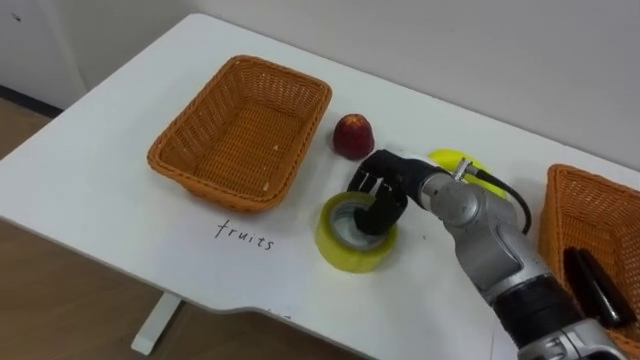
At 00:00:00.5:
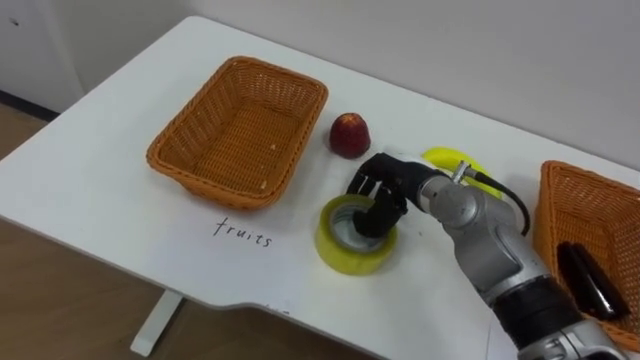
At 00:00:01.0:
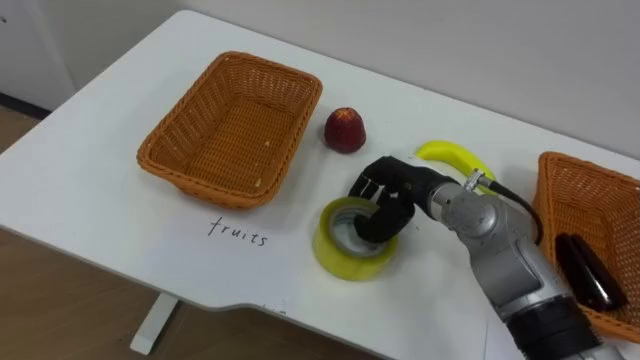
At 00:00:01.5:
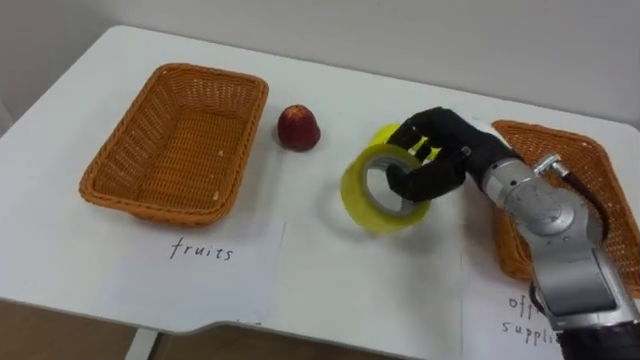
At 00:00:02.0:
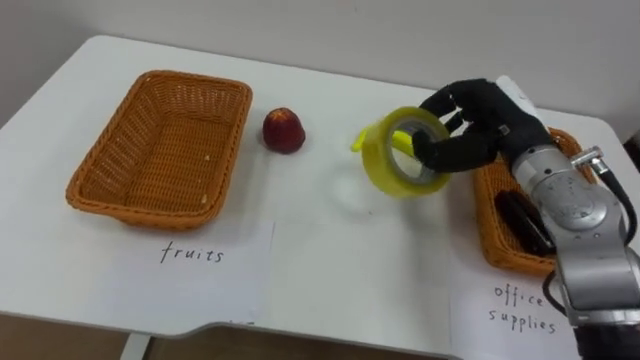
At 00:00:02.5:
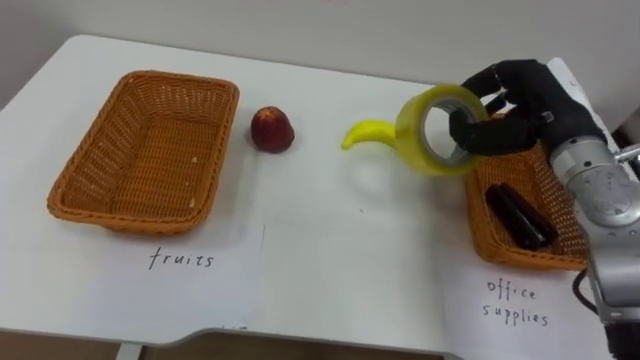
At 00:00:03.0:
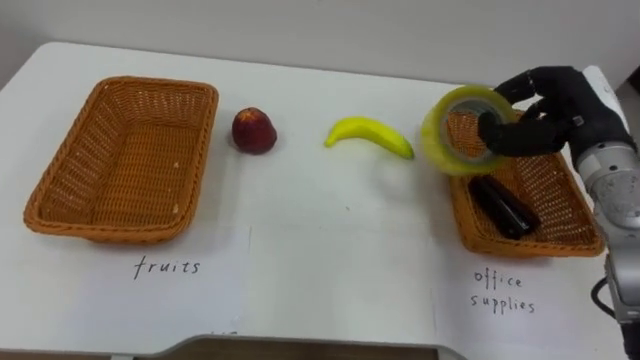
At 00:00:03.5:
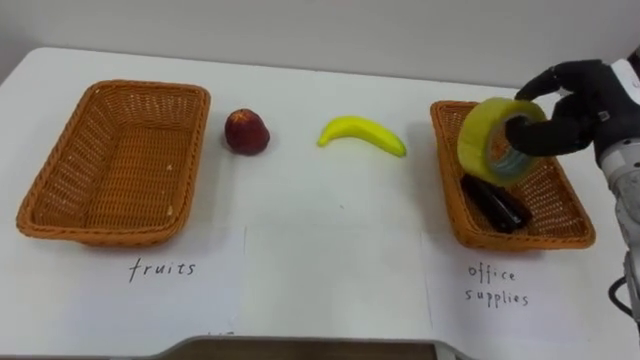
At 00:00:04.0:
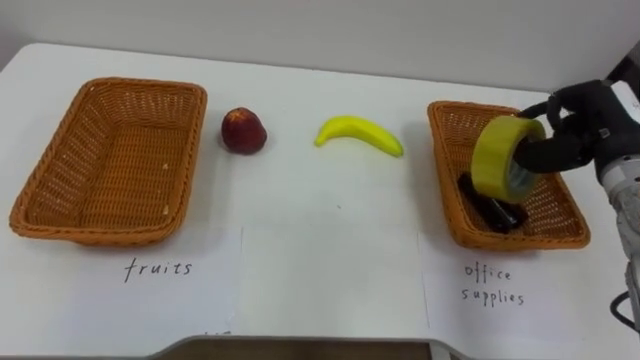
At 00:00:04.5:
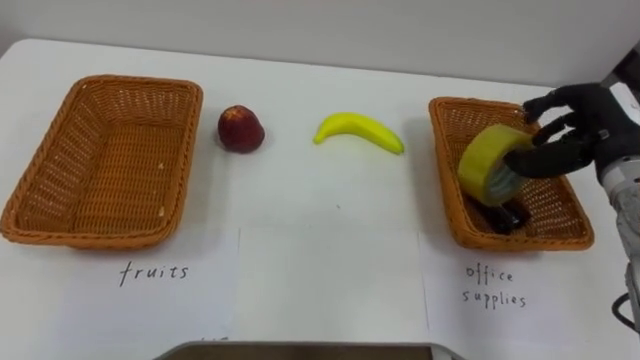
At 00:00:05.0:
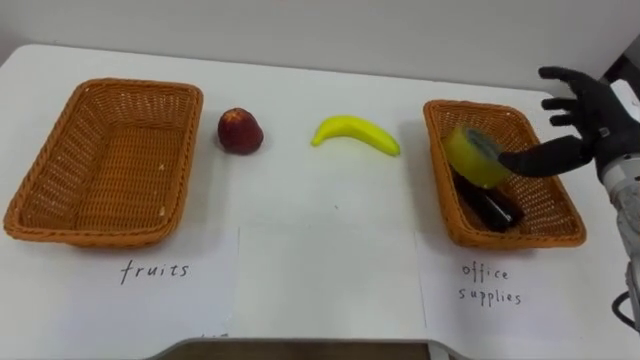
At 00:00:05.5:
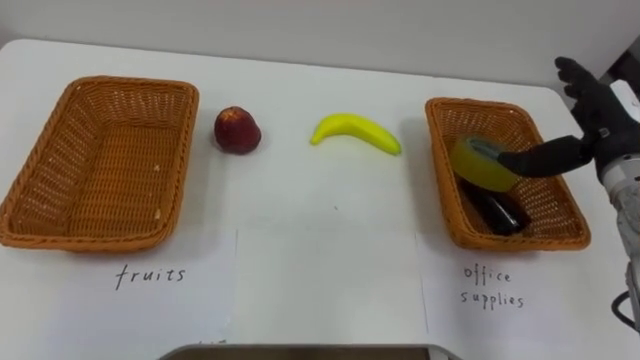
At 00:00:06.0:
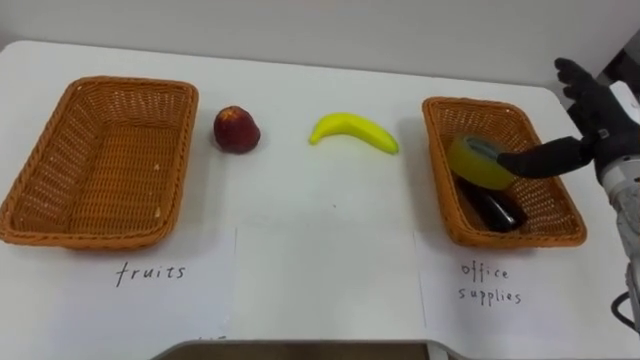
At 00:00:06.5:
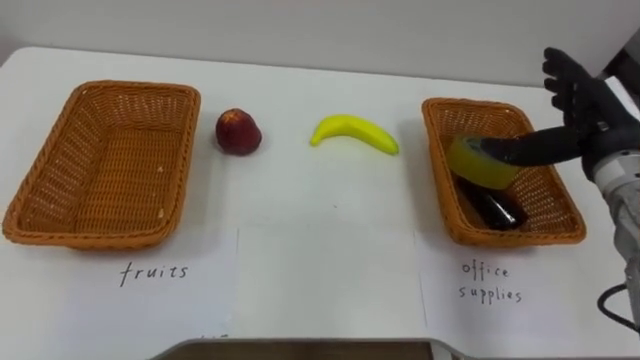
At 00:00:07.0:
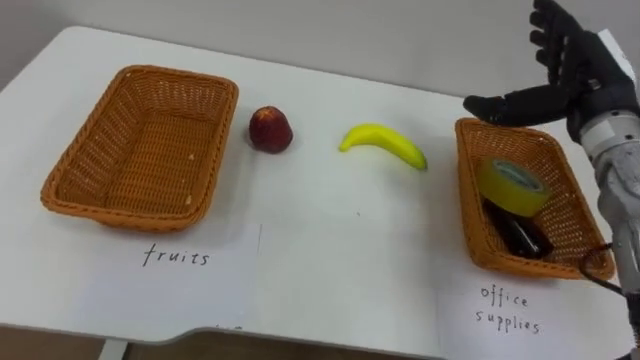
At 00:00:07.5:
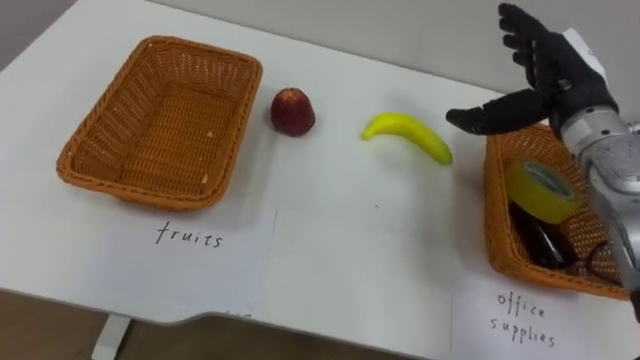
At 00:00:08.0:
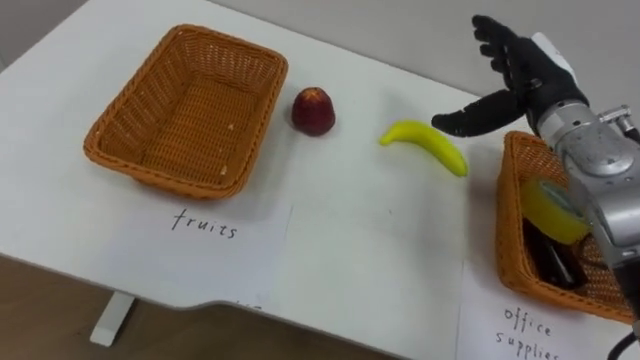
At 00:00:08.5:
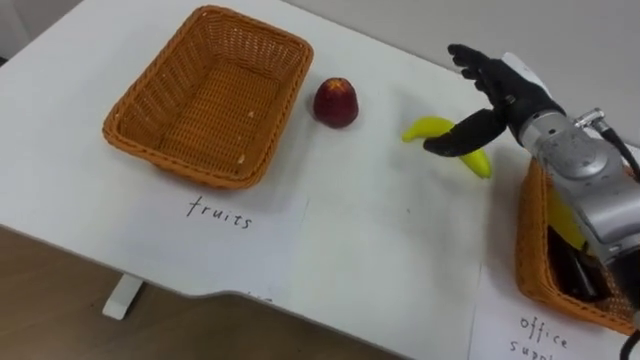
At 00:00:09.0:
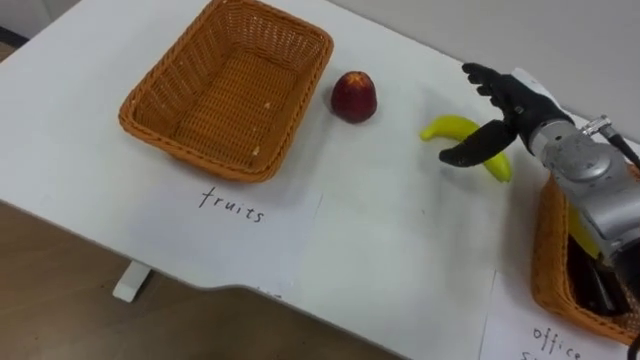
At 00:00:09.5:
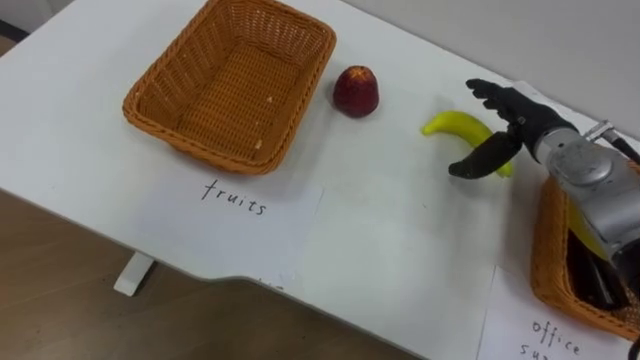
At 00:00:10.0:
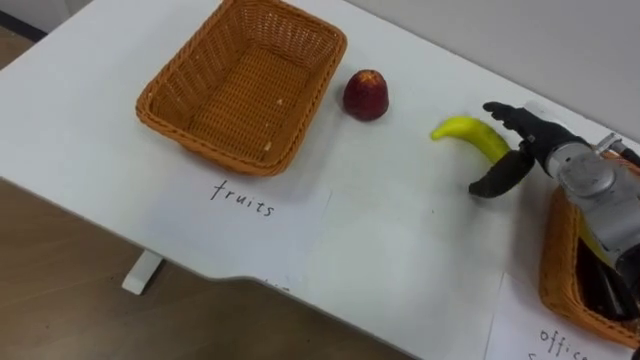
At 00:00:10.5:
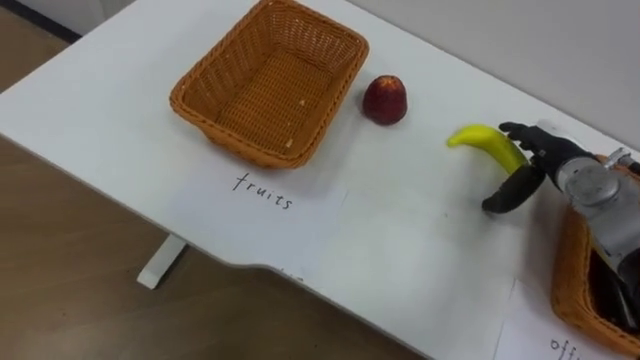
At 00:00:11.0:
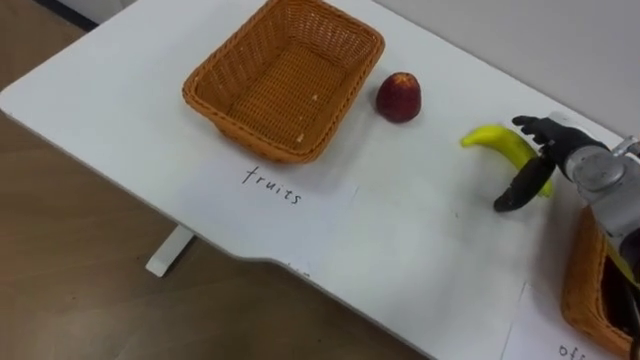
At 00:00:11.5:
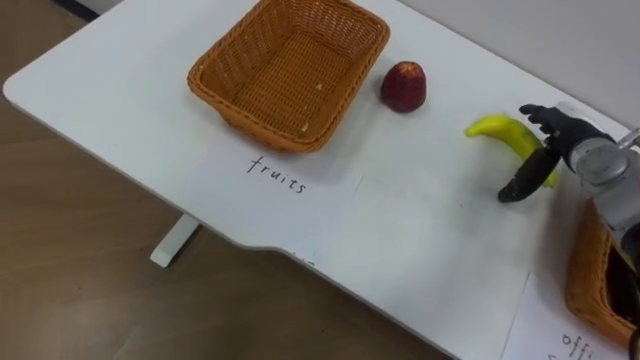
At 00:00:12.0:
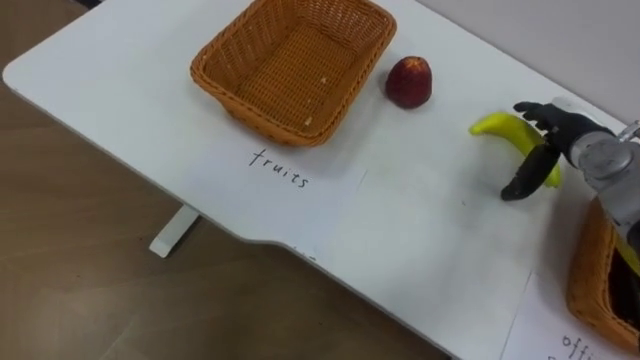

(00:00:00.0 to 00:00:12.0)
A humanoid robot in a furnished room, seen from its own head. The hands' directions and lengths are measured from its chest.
Task of the whole recording: Separate the items on the table and place them into the two baskets.
00:00:00.0 - 00:00:02.0: The right hand goes roughly 15 cm to the right and upward.
00:00:02.0 - 00:00:04.0: The right hand heads to the right, covering about 10 cm.
00:00:04.0 - 00:00:06.0: The right hand opens up.
00:00:06.0 - 00:00:08.0: The right hand moves to the left and forward, some 10 cm.
00:00:08.0 - 00:00:10.0: The right hand shifts approximately 10 cm downward.

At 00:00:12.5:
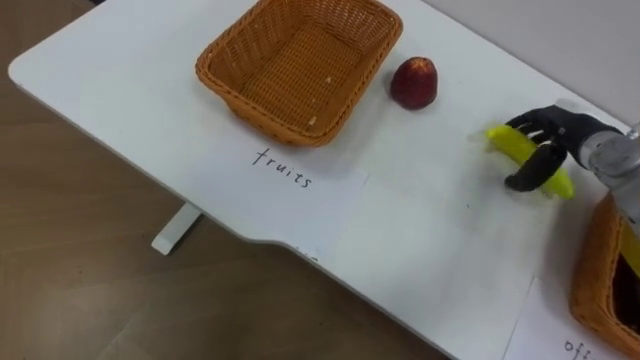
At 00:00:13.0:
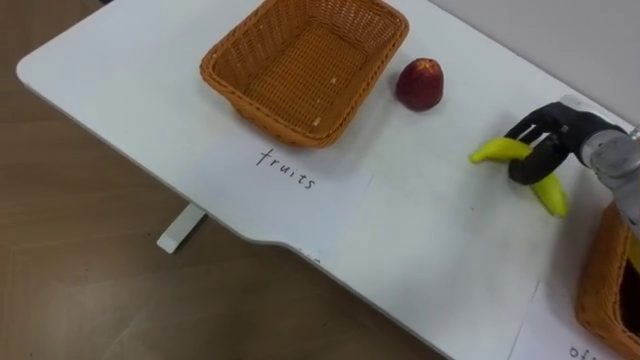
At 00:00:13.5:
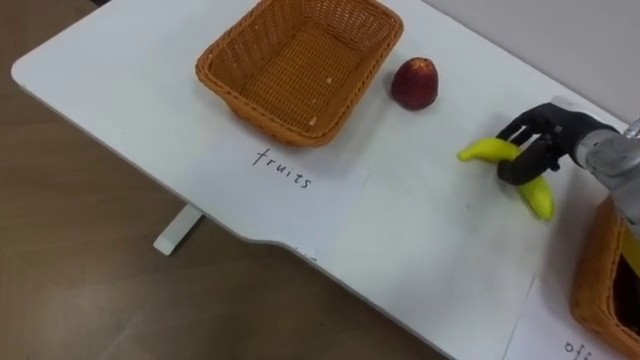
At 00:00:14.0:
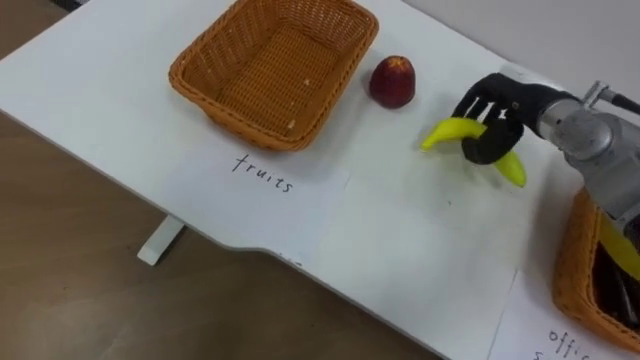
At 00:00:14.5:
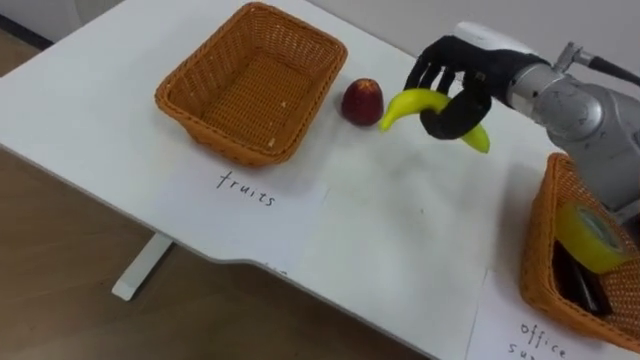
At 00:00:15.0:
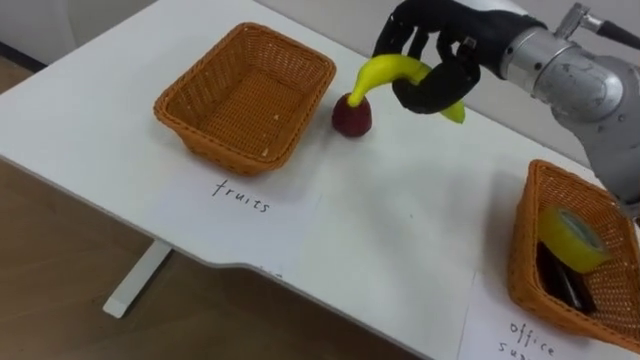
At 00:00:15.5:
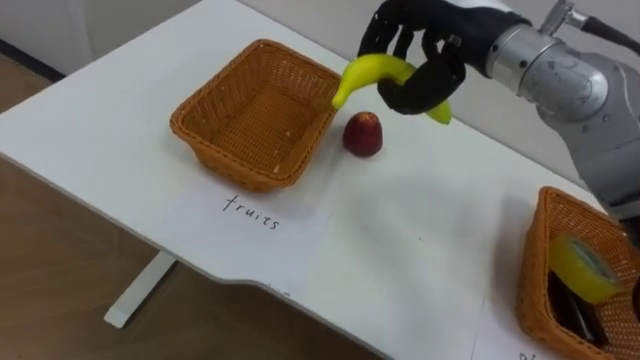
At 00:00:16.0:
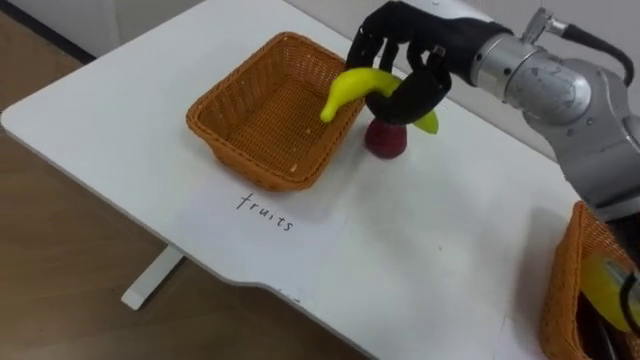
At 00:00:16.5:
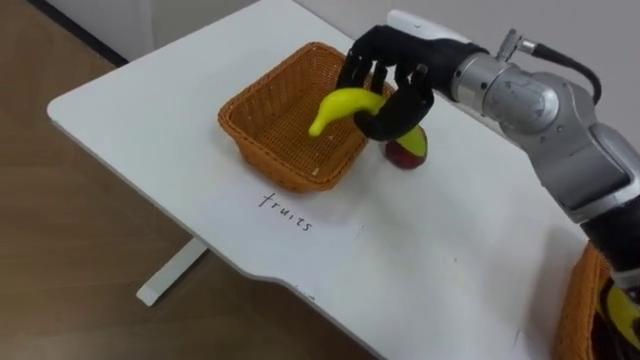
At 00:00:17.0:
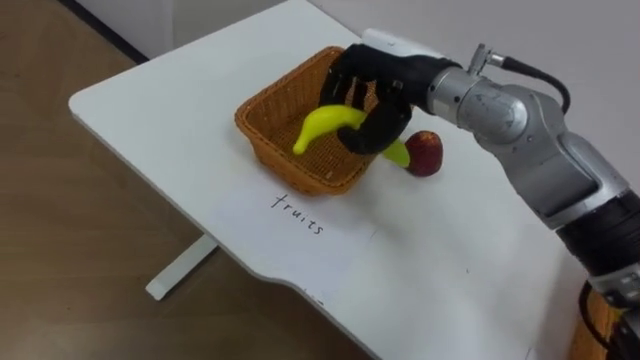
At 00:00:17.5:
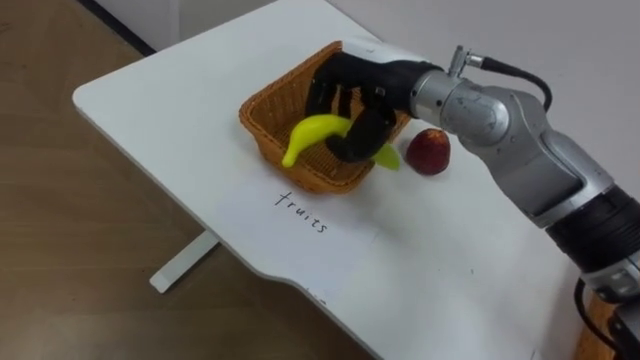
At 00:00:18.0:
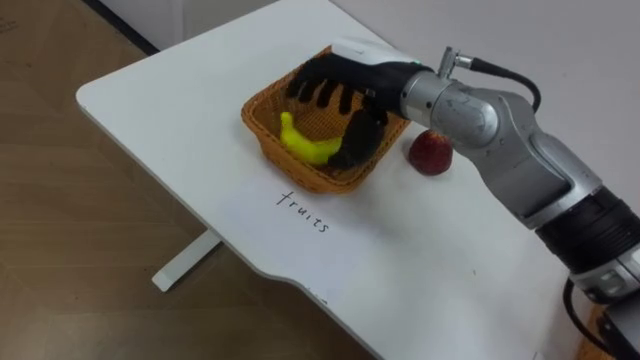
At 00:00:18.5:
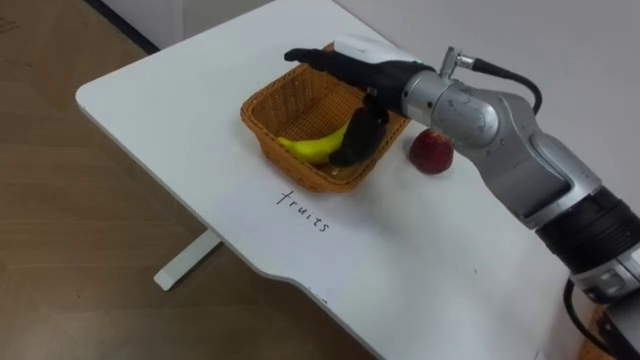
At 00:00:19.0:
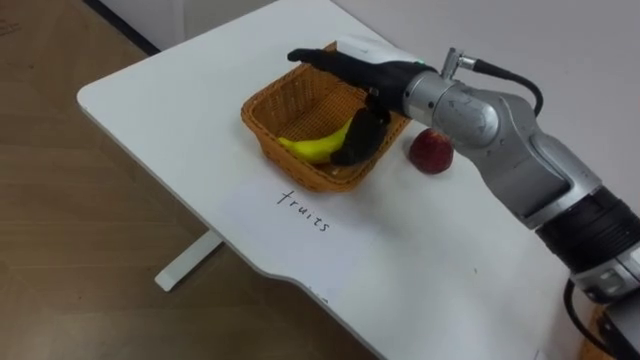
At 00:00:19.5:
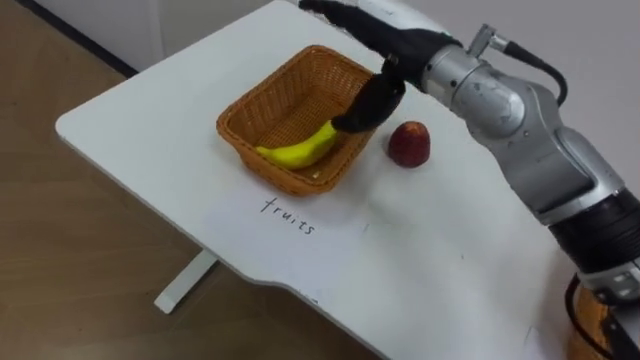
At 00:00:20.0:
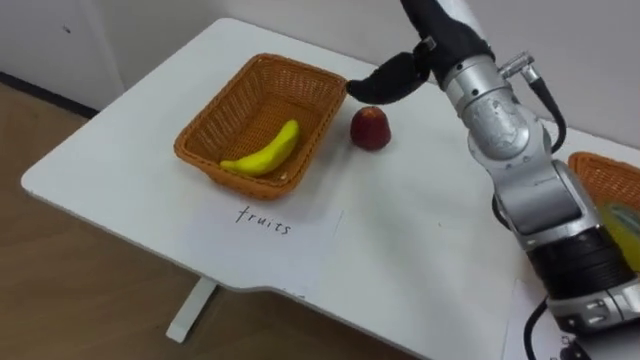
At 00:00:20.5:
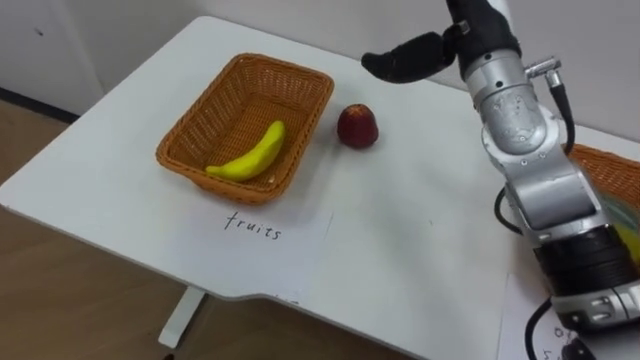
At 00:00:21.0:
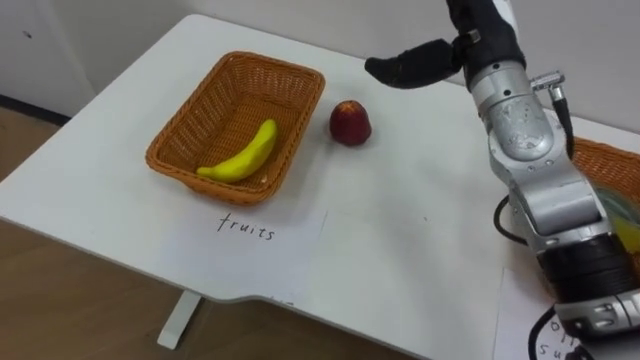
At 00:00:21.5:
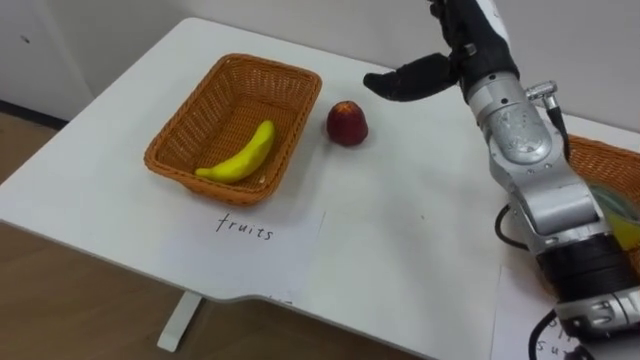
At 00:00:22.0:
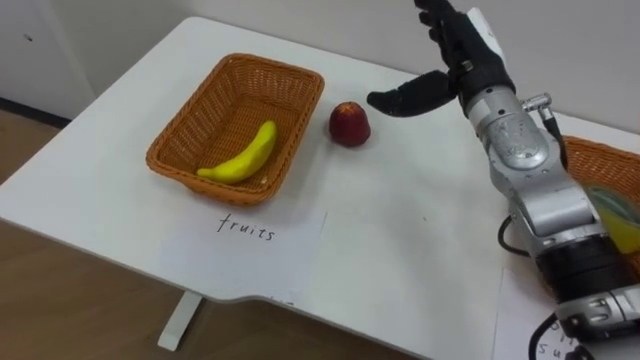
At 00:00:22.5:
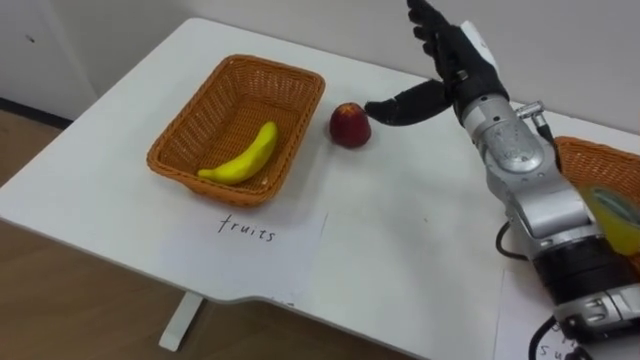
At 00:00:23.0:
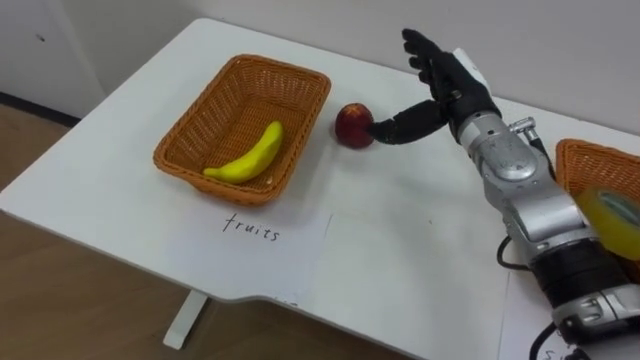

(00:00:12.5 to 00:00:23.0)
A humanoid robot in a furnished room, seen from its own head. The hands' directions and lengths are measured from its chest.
Task of the whole recording: Separate the items on the table and place them into the two baskets.
00:00:12.5 - 00:00:14.5: The right hand travels to the left and upward by some 15 cm, and closes.
00:00:14.5 - 00:00:16.5: The right hand travels to the left by roughly 10 cm.
00:00:16.5 - 00:00:19.0: The right hand changes place by some 5 cm, and opens up.
00:00:19.0 - 00:00:21.0: The right hand moves to the right, roughly 10 cm.
00:00:21.0 - 00:00:23.0: The right hand moves downward, some 10 cm.
